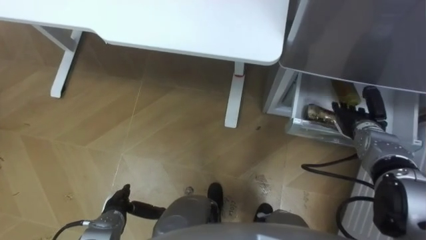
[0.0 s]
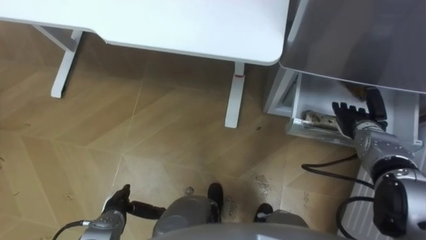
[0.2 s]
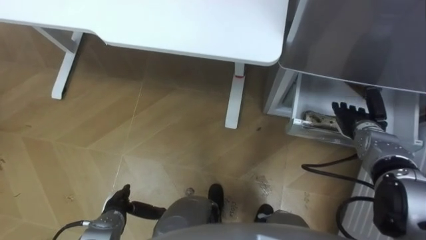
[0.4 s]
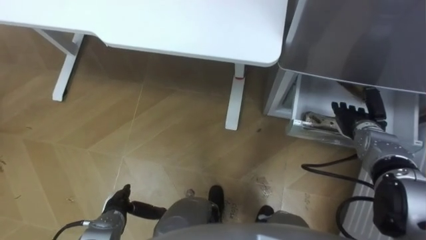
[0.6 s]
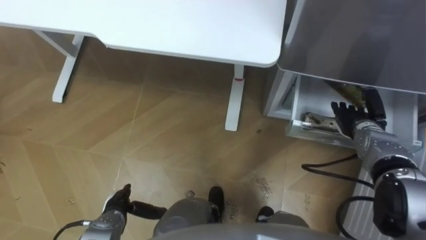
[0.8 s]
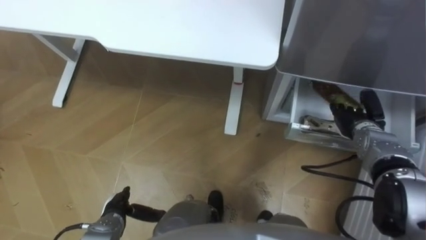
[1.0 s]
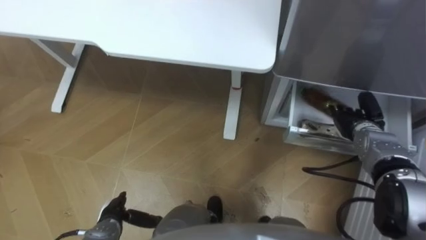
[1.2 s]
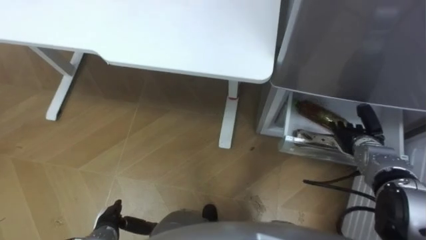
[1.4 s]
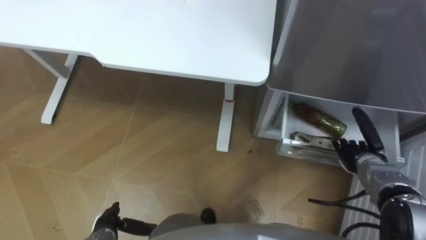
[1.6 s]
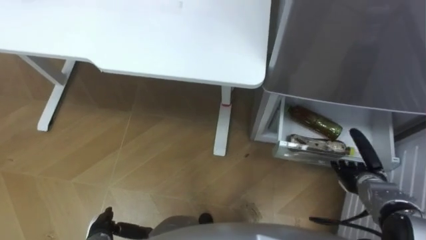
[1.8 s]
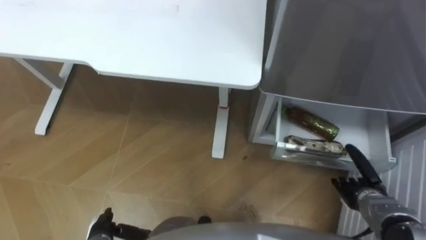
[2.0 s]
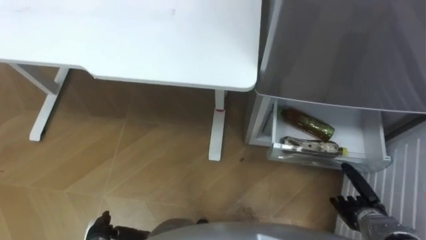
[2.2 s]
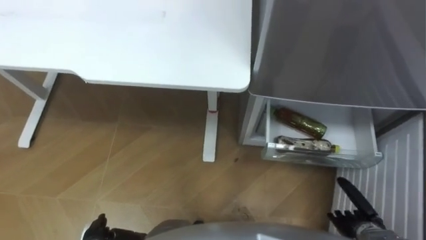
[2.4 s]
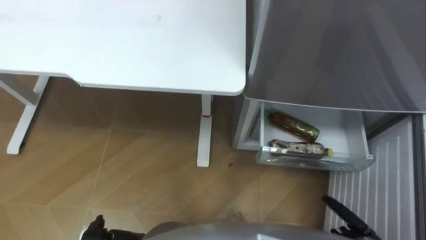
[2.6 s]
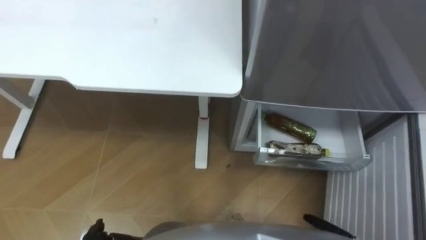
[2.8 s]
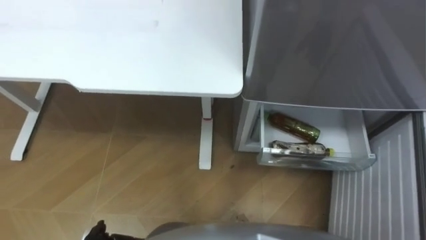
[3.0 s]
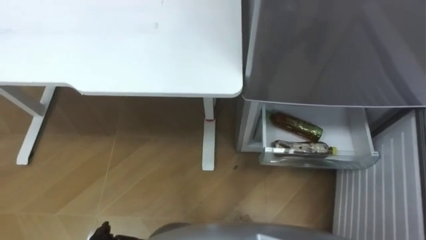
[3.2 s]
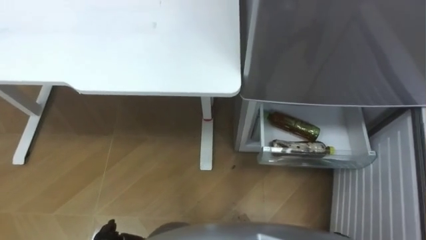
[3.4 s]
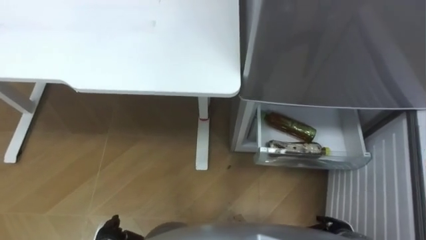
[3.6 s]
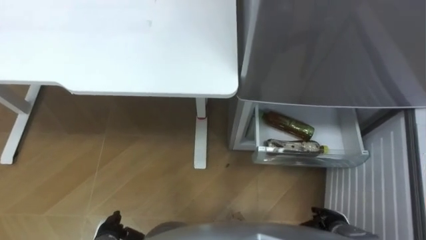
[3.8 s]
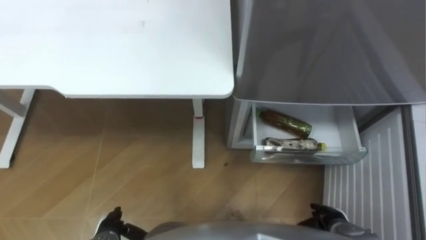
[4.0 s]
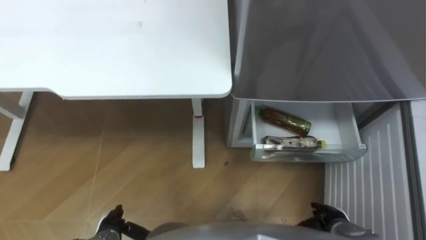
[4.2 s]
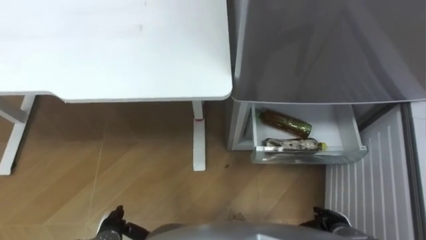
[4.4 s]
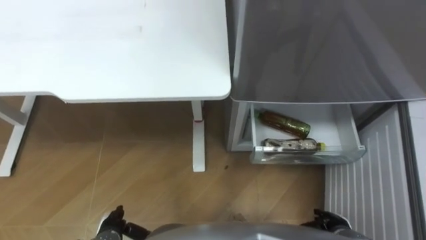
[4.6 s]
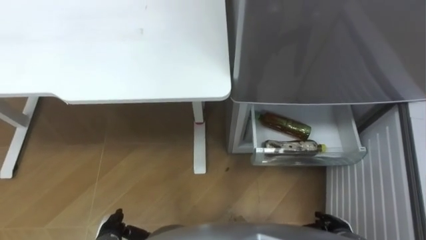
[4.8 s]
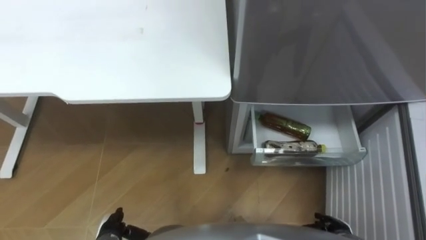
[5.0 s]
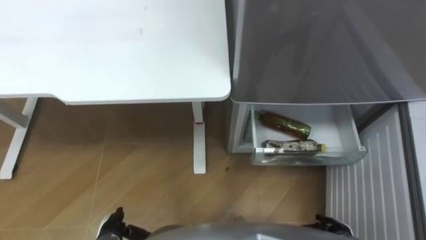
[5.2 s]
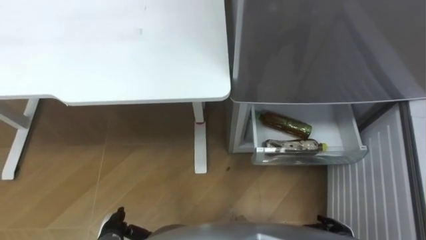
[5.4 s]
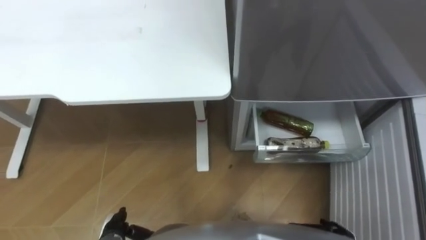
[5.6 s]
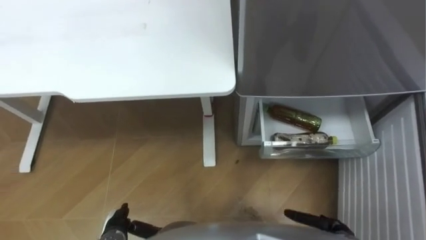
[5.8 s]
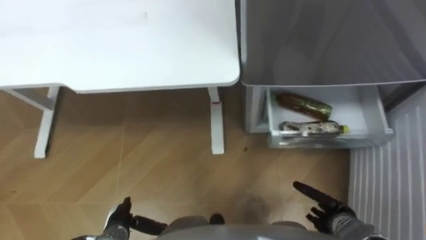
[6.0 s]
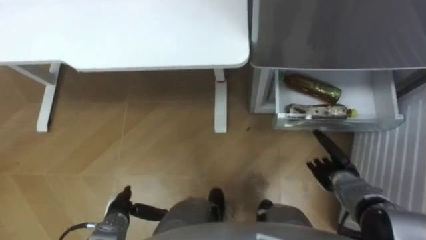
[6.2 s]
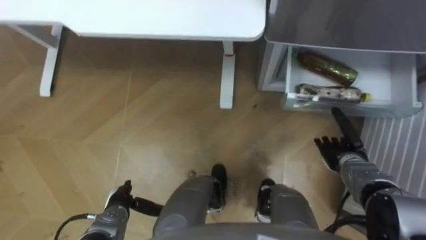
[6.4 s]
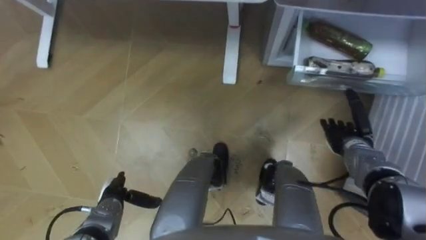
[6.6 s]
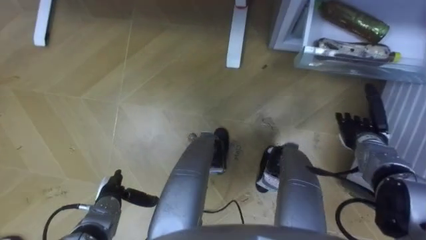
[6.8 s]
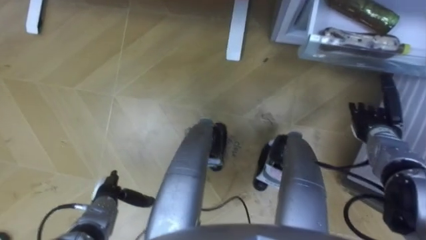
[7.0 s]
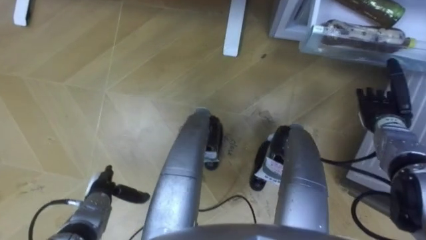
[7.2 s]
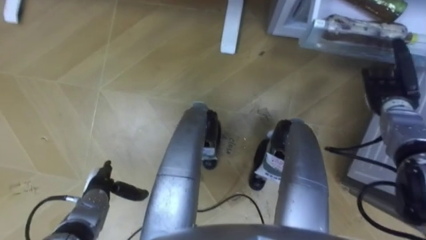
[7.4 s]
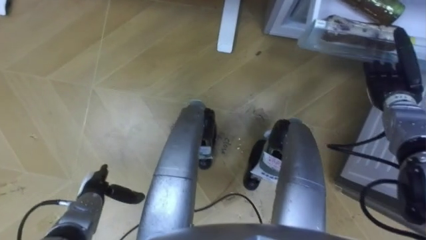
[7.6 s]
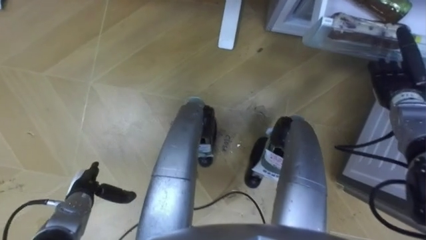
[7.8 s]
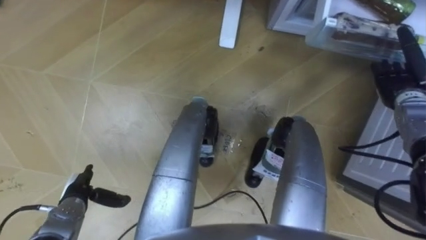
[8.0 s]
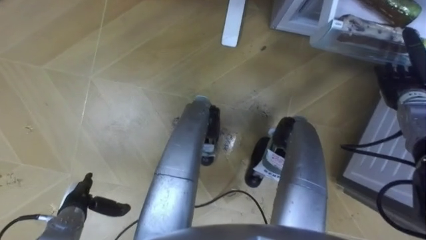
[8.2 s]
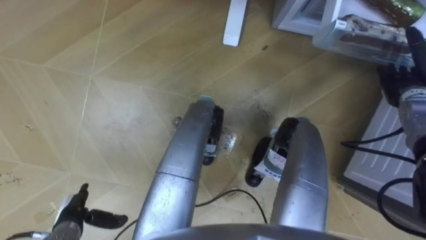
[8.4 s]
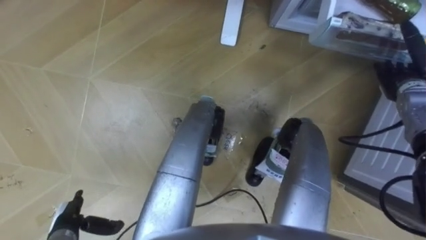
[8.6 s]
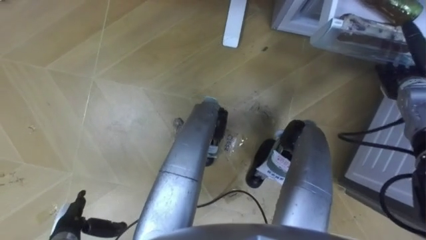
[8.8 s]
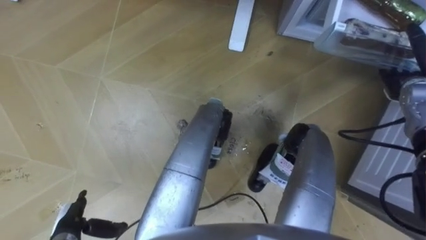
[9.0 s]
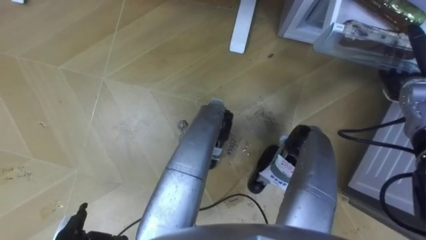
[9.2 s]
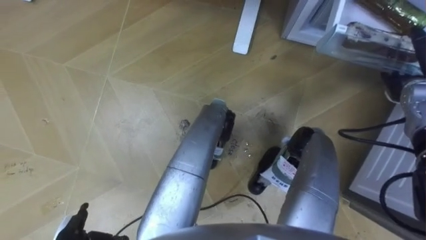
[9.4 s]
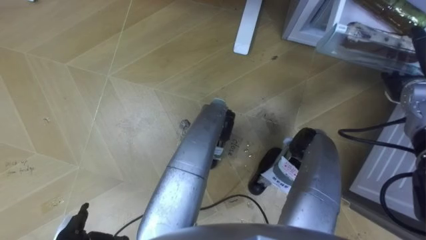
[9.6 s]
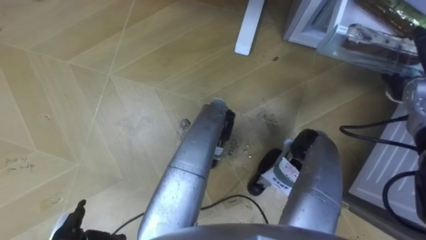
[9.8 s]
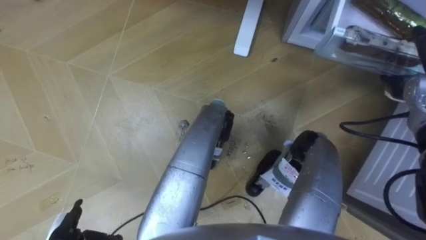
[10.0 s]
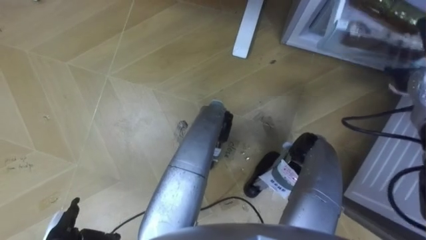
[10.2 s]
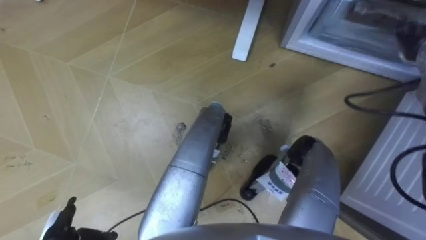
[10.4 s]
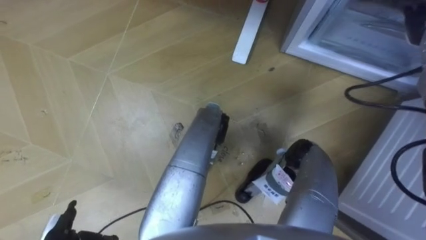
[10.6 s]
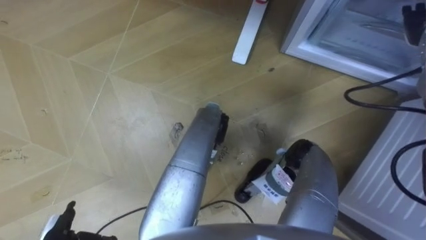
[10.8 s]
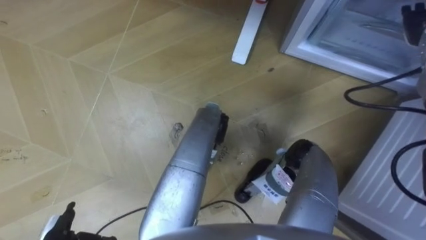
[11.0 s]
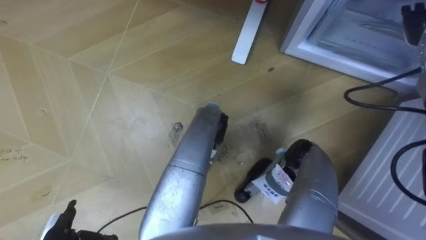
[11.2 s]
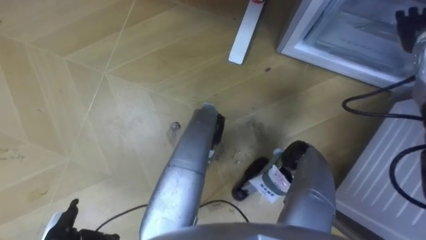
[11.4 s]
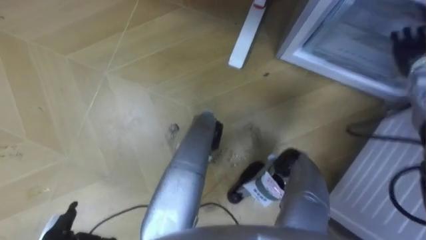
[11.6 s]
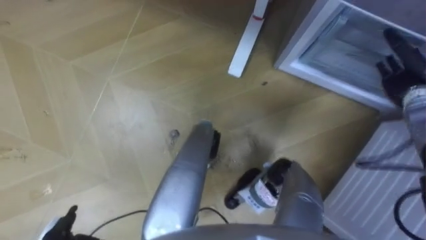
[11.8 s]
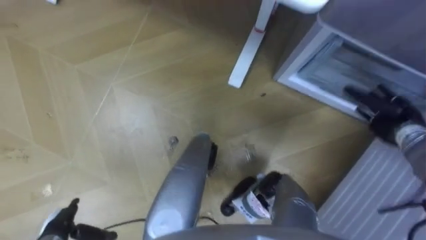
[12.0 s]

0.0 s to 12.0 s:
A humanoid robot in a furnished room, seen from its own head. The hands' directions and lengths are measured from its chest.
Task of the whole recording: Place the drink on the table on the bottom shelf of the refrigerator, then close the drawer and the refrigerator door.
0.0 to 1.6 s: The right hand shifts roughly 5 cm backward.
6.0 to 7.6 s: The left hand shifts some 10 cm forward and to the left. Meanwhile the right hand shifts roughly 30 cm forward and upward.
7.6 to 9.0 s: The left hand heads backward, covering about 10 cm.
9.0 to 10.4 s: The right hand shifts about 5 cm upward.
10.4 to 12.0 s: The right hand goes roughly 15 cm downward and backward.

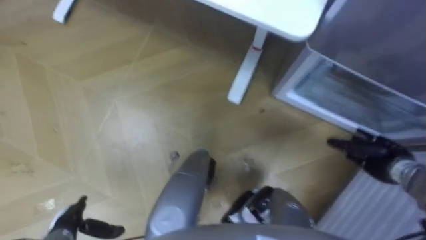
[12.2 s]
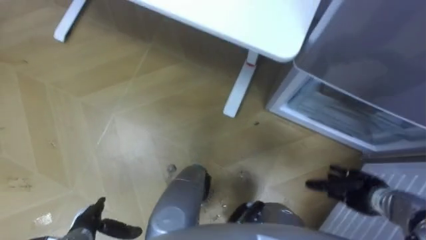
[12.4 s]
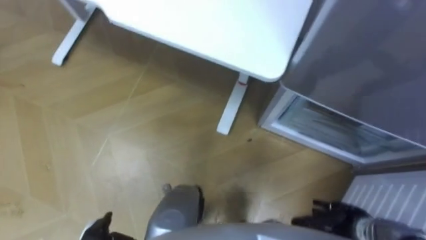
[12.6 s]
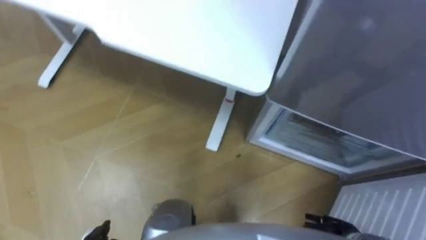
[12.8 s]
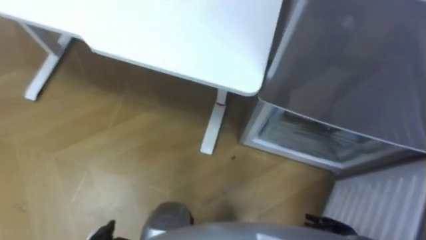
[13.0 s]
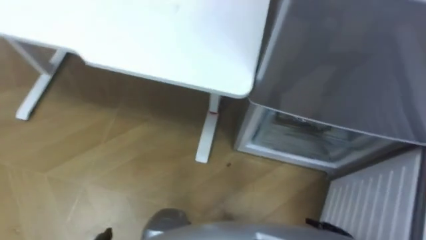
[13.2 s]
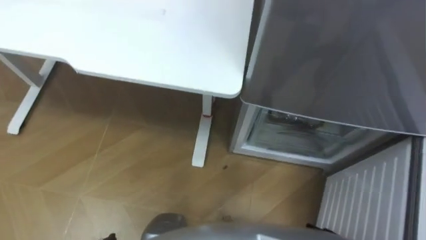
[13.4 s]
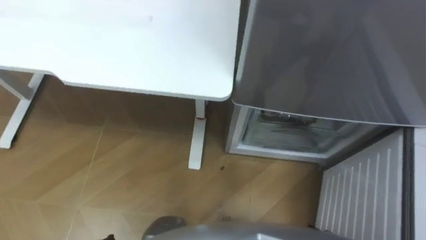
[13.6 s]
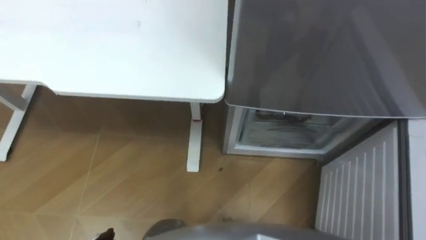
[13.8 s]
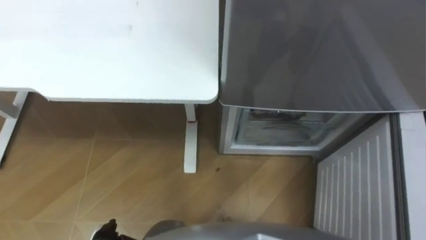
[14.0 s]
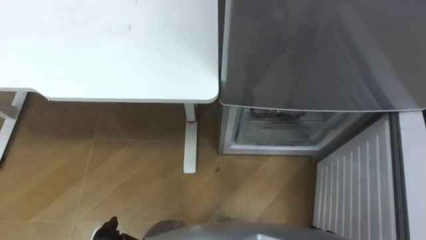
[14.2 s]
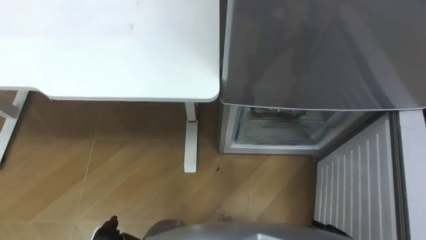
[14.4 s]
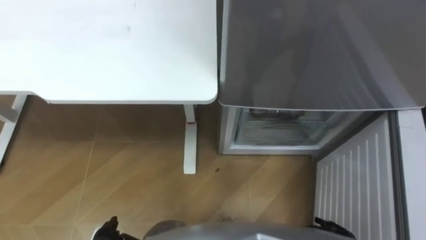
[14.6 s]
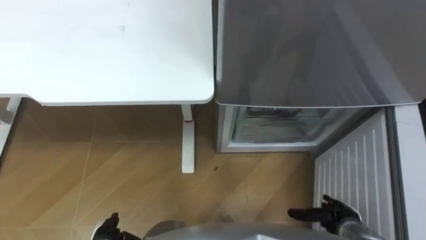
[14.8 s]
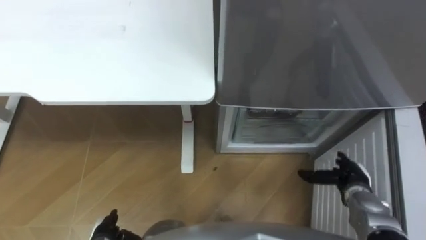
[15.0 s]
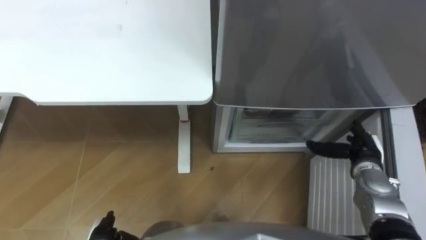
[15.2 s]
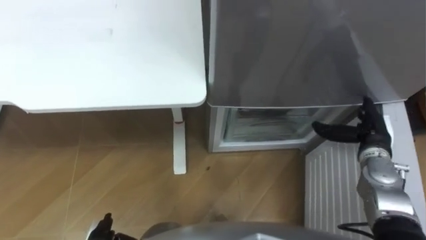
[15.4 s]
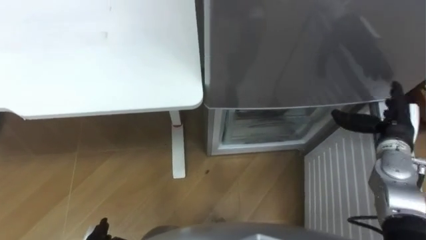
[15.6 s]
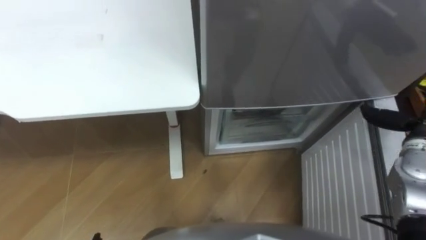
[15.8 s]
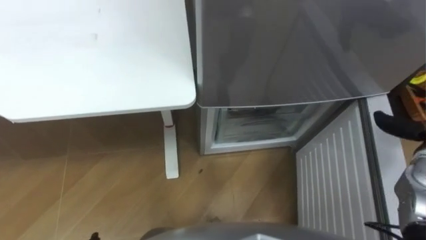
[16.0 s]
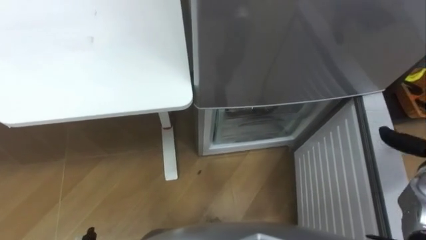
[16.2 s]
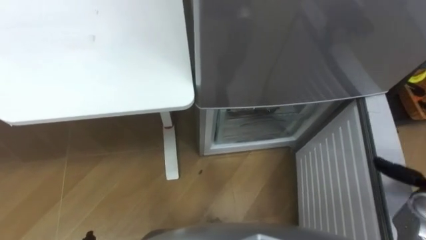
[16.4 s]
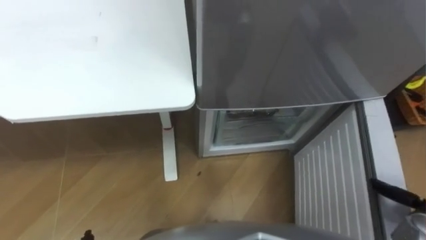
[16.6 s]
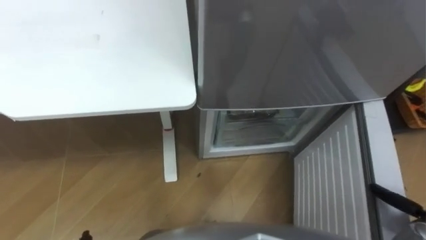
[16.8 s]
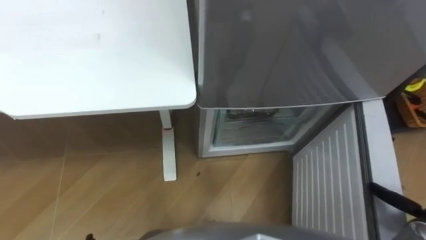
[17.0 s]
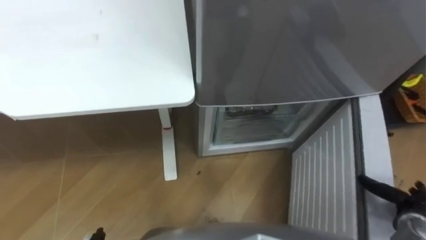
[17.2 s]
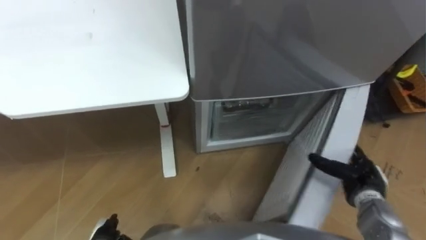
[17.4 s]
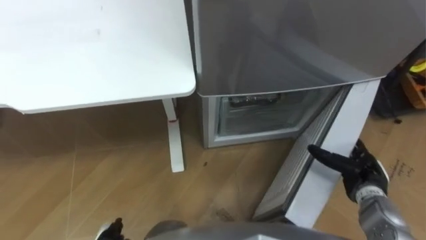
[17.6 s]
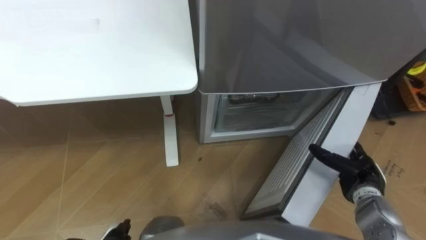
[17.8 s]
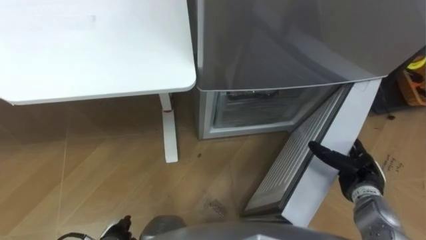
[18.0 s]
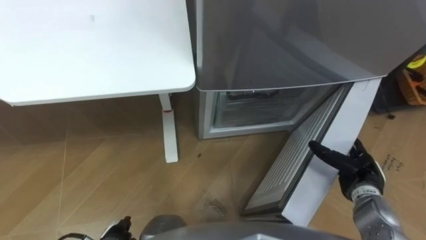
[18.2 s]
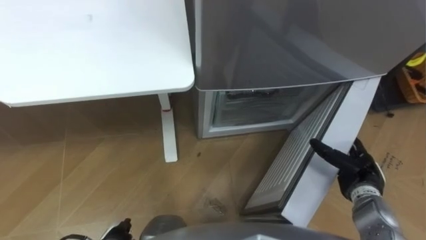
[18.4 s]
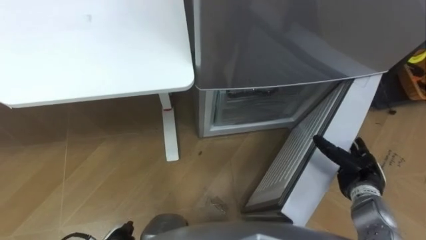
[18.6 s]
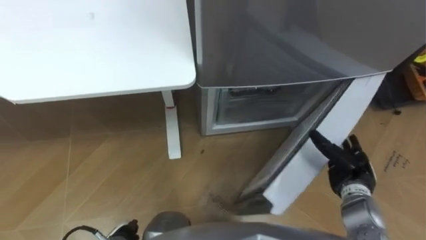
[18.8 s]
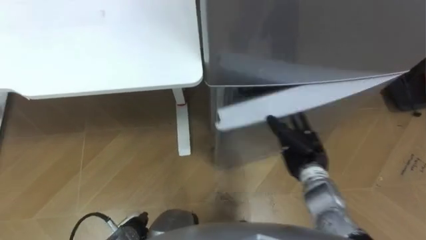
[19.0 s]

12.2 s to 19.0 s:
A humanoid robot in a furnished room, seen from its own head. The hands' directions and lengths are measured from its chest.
Task of the whole recording: Place the drink on the table on the bottom shelf of the refrigerator, then close the drawer and the refrigerator door.
17.6 to 19.0 s: The right hand travels to the left by roughly 5 cm.
